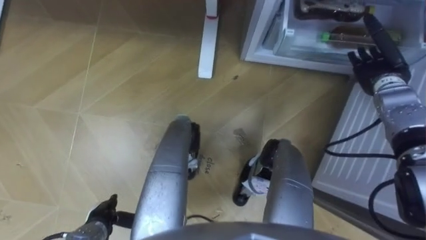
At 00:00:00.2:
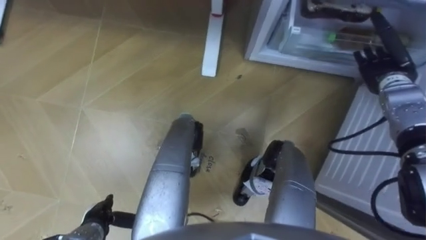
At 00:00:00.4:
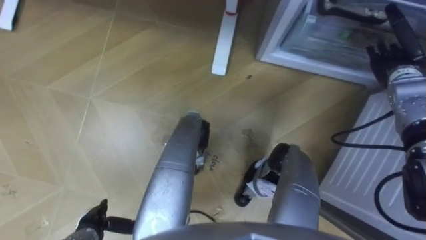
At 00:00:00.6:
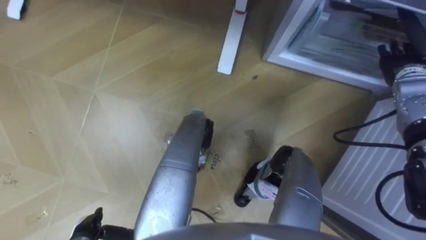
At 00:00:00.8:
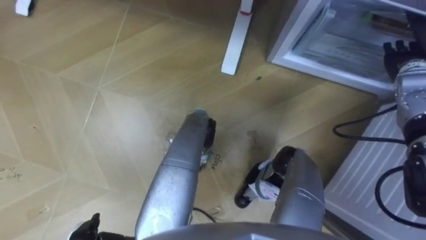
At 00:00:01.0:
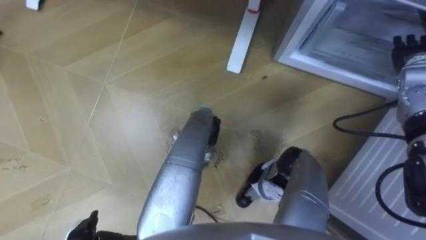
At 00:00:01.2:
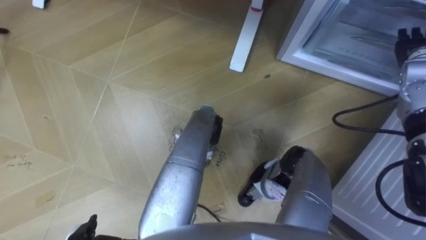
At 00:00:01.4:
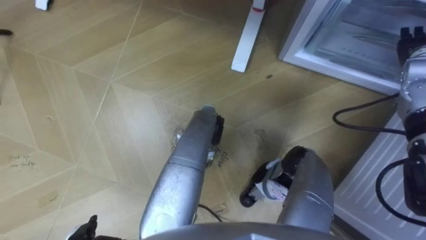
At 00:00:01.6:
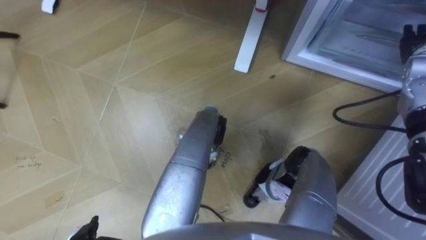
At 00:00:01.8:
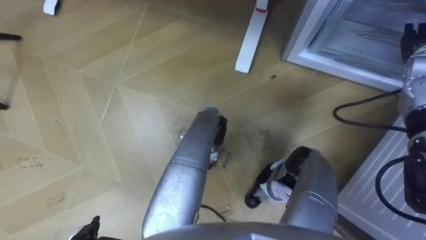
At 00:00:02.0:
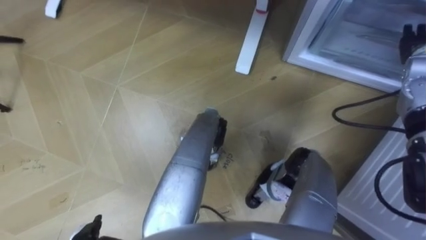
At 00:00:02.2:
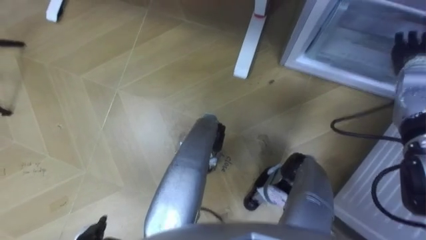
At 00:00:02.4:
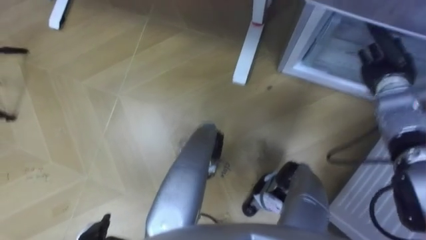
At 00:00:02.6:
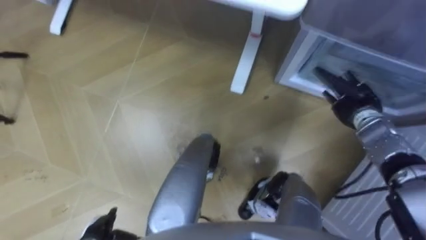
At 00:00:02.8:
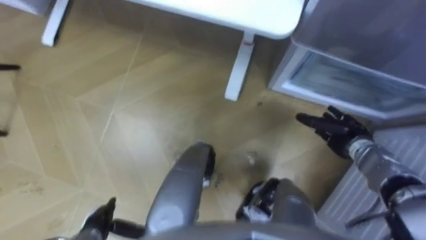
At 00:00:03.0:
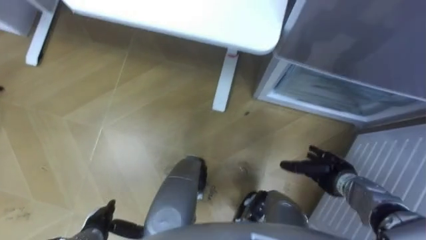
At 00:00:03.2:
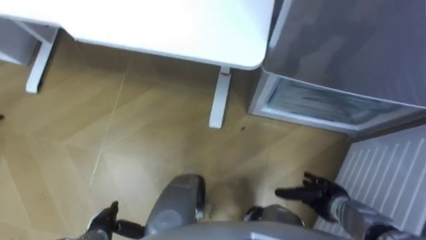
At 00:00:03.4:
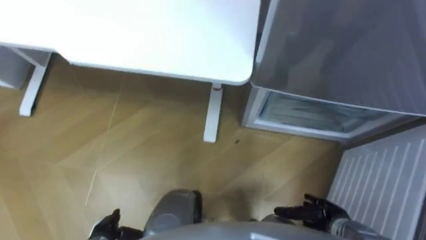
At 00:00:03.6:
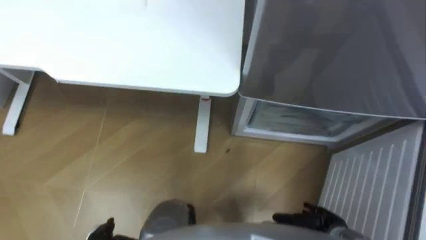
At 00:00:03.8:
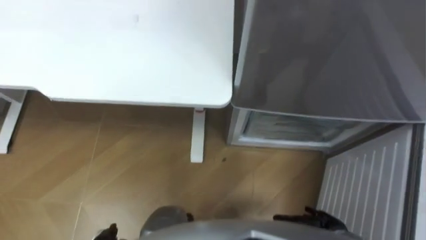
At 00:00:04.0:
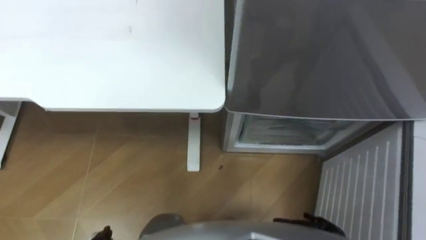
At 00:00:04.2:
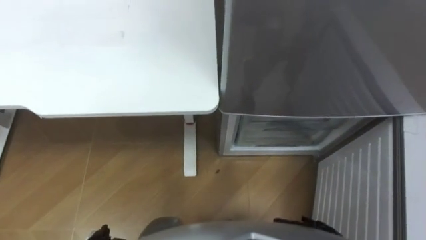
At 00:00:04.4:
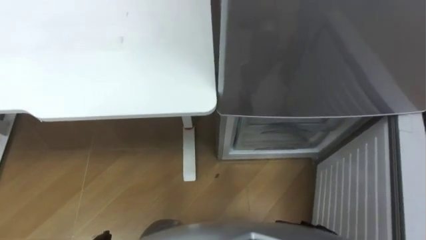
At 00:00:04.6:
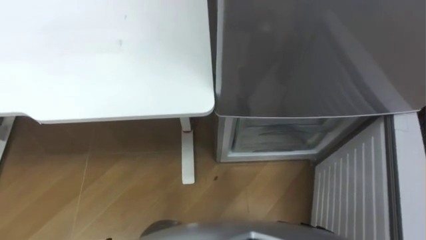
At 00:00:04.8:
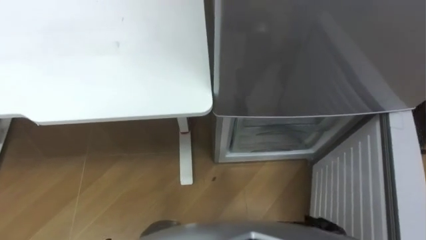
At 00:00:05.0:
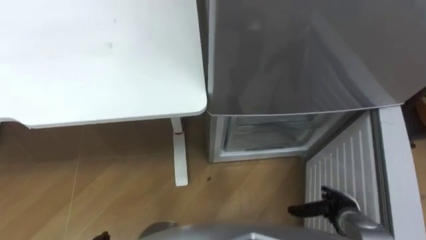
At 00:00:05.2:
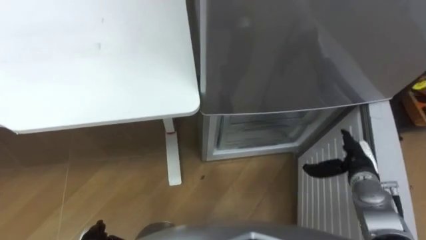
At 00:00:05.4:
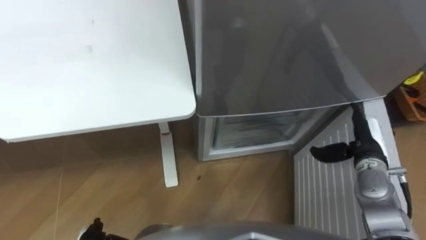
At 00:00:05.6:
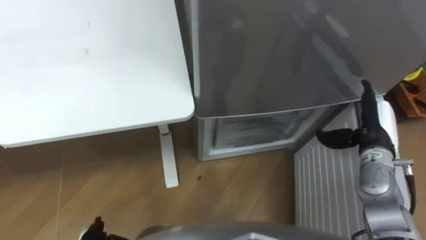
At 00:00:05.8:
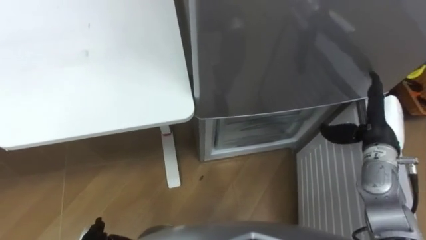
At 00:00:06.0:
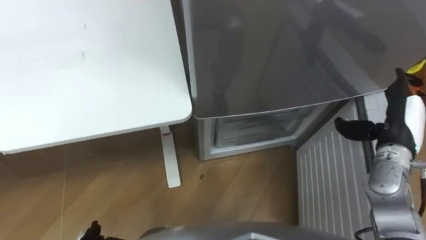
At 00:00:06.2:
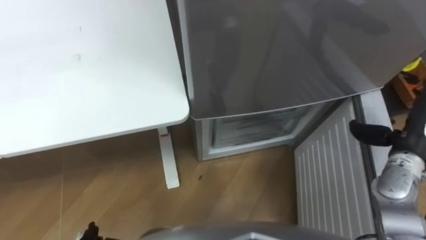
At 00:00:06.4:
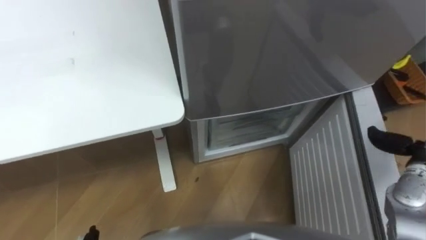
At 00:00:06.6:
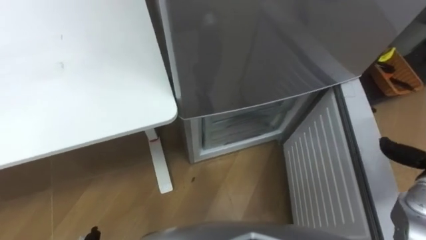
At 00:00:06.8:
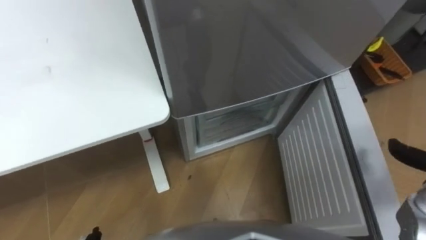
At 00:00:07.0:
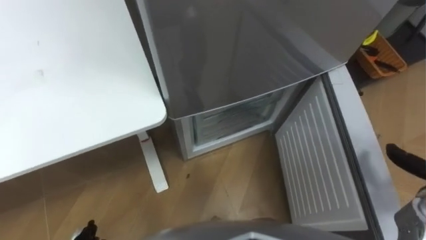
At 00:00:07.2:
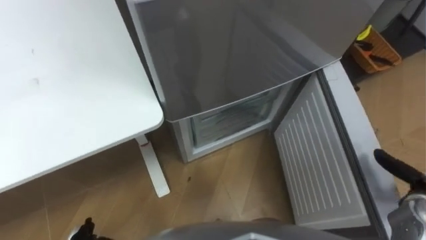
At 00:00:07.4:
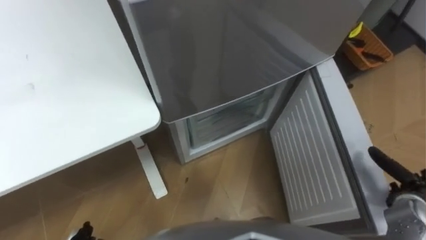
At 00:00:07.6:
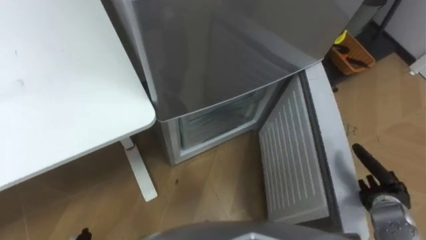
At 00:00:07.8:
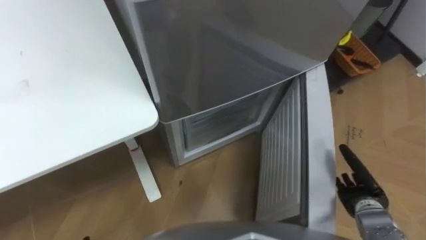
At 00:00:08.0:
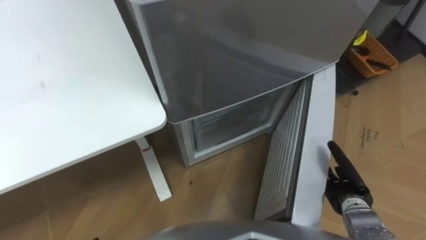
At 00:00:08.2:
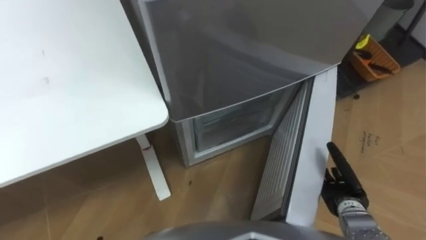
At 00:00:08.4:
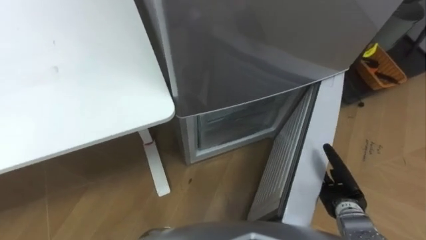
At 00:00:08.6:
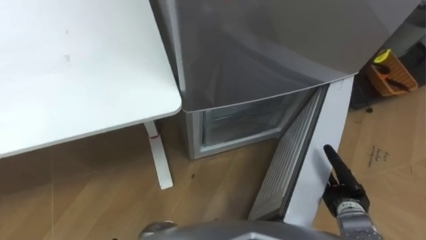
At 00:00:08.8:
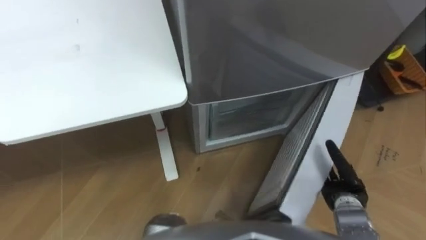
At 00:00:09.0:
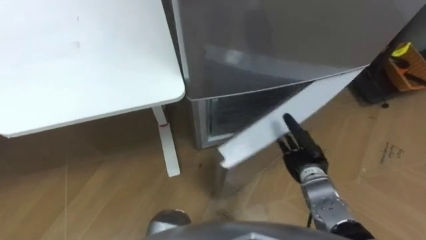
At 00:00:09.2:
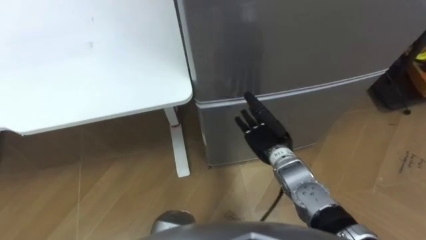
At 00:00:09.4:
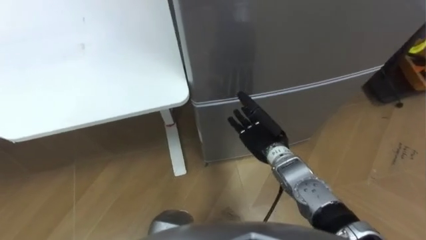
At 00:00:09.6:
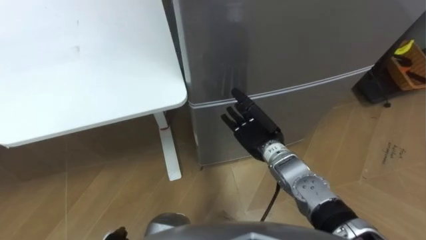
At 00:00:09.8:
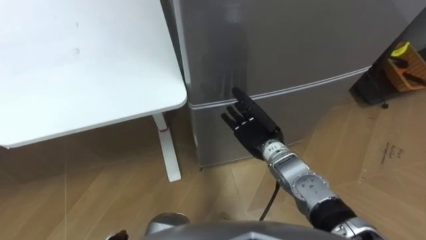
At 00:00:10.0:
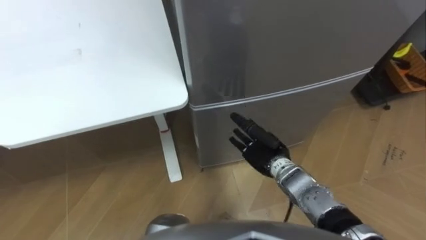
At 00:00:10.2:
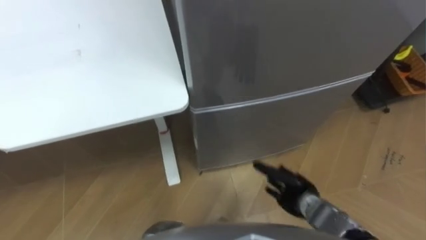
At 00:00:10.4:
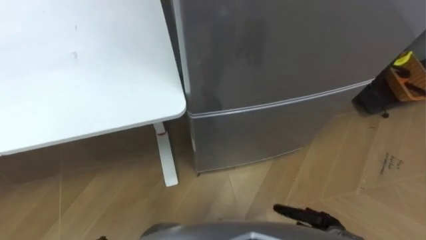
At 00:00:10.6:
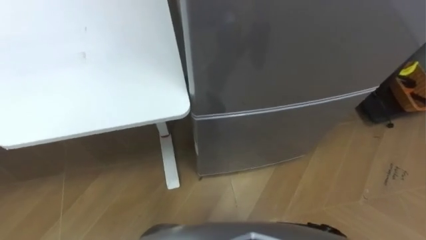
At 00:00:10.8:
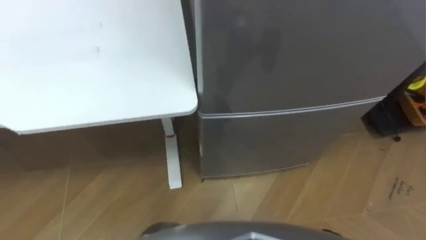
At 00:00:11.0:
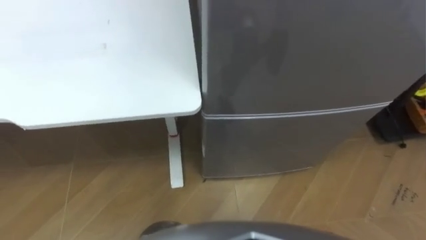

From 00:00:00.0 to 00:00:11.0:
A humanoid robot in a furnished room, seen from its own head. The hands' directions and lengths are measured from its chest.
Task of the whole recording: Place the drink on the table on the bottom shelf of the refrigerator, then close the drawer and the refrigerator door.
From 00:00:00.0 to 00:00:01.6: The right hand heads upward, covering some 5 cm.
From 00:00:01.6 to 00:00:03.2: The right hand shifts about 35 cm downward, backward and to the left.
From 00:00:04.8 to 00:00:06.2: The right hand heads upward, forward and to the right, covering approximately 30 cm.
From 00:00:07.8 to 00:00:09.4: The right hand shifts about 25 cm to the left and forward.

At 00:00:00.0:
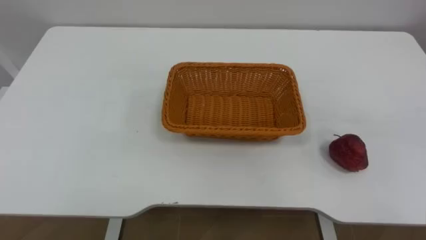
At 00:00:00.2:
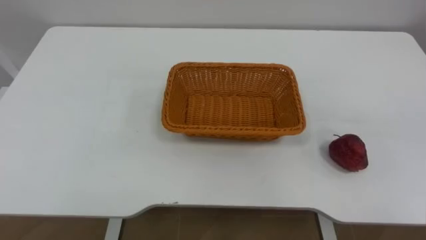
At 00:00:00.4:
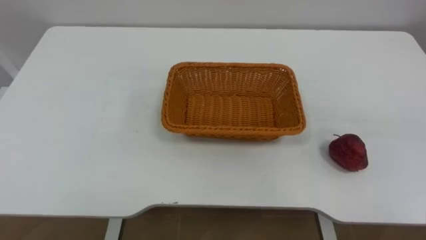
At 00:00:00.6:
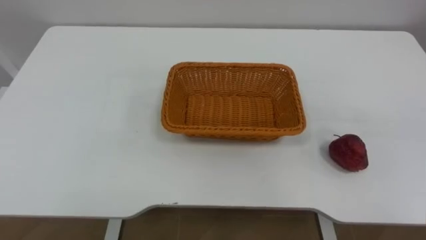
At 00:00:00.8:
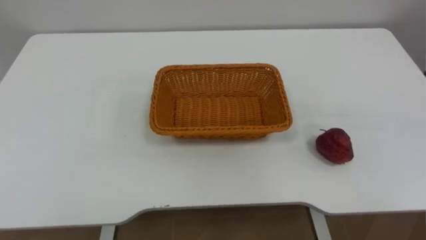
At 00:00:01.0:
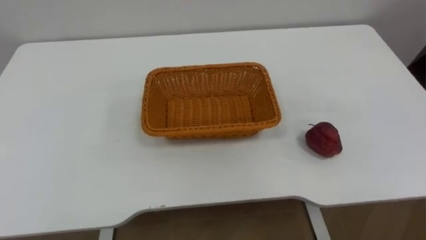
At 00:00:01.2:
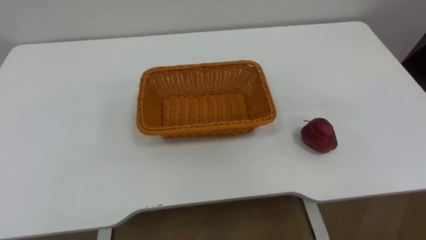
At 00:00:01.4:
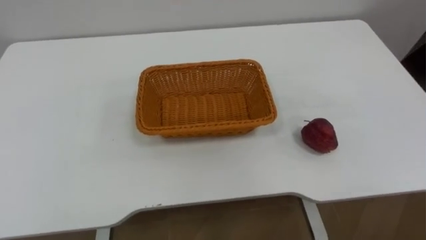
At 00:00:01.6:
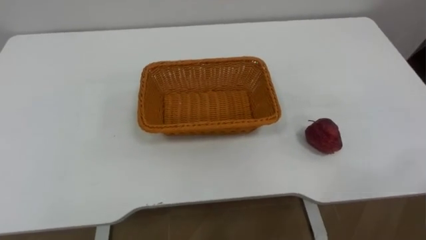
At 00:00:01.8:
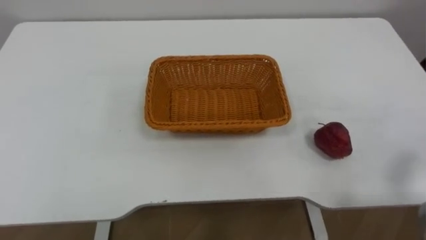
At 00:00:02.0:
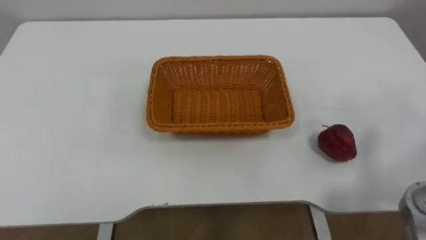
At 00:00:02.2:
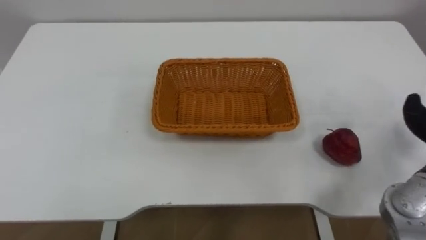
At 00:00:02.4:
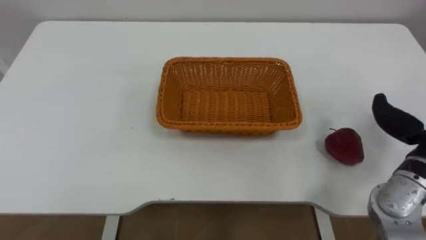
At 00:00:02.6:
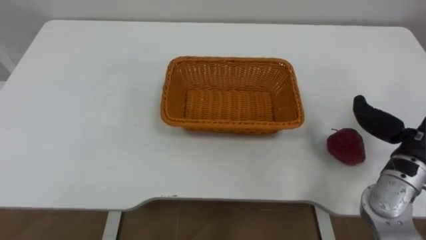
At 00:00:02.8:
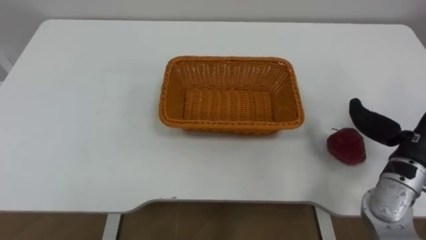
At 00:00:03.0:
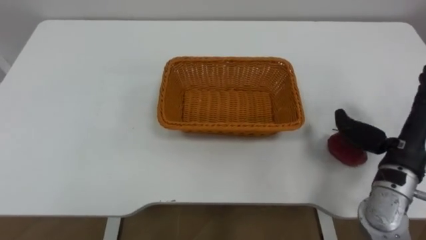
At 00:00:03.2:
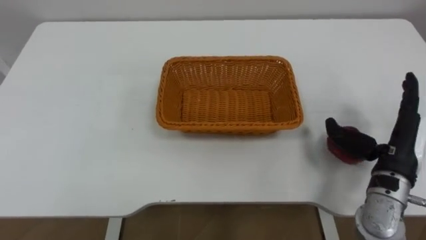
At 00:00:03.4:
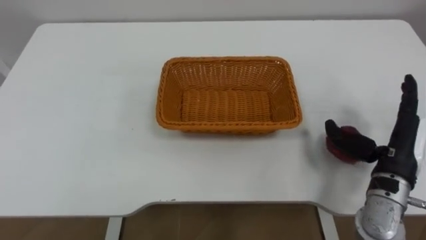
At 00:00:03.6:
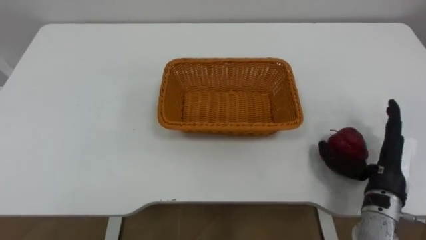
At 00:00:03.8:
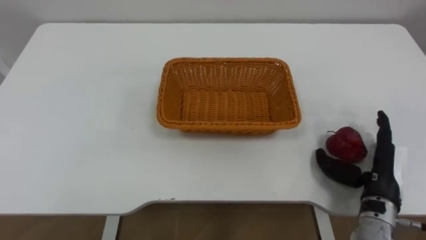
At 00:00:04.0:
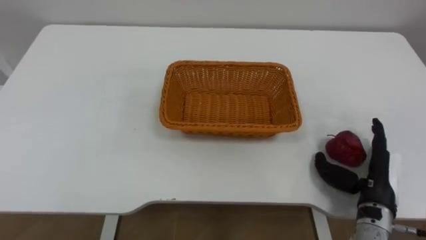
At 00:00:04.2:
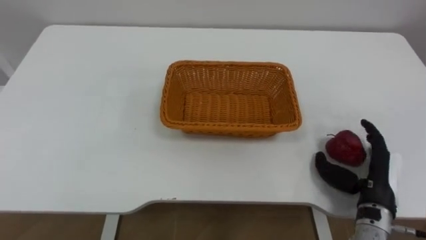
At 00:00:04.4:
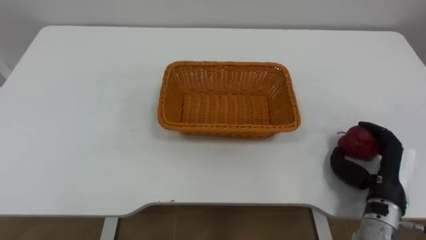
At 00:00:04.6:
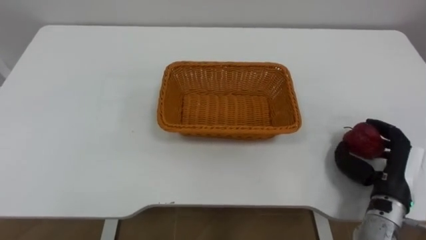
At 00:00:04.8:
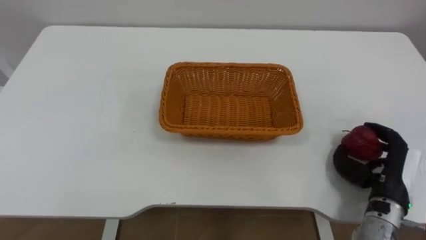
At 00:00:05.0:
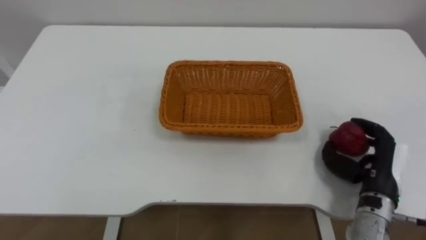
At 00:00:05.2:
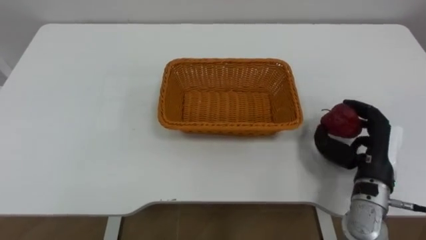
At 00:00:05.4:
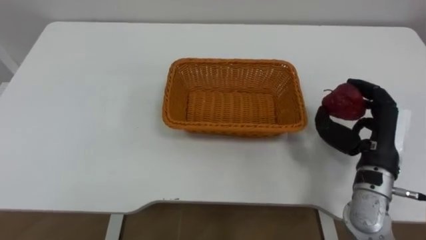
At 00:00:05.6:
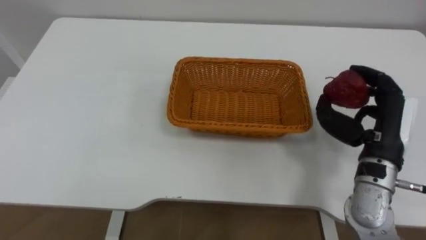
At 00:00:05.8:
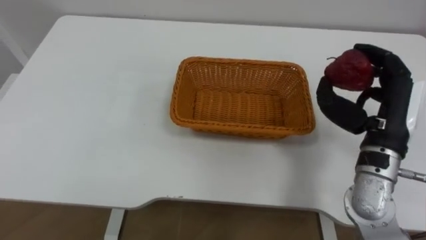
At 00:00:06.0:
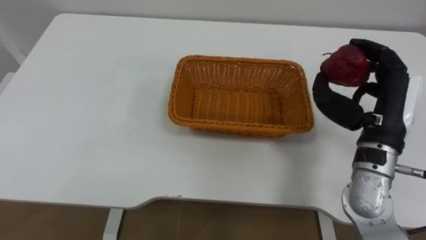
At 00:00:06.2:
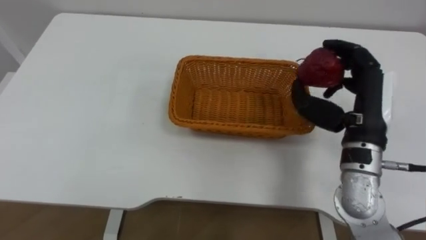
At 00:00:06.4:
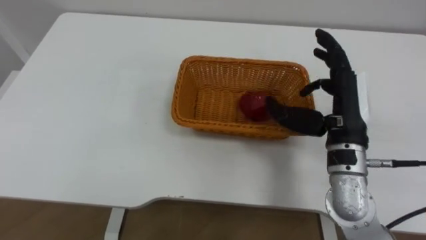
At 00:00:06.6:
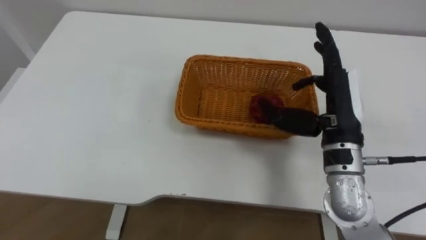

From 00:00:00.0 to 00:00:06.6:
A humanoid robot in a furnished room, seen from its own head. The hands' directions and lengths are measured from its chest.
Task of the whole recording: Pick the apple and place it in the box.
From 00:00:03.2 to 00:00:05.0: The right hand travels downward by about 5 cm, and closes its fingers.
From 00:00:05.0 to 00:00:06.6: The right hand goes approximately 15 cm upward and to the left, and opens its fingers.
